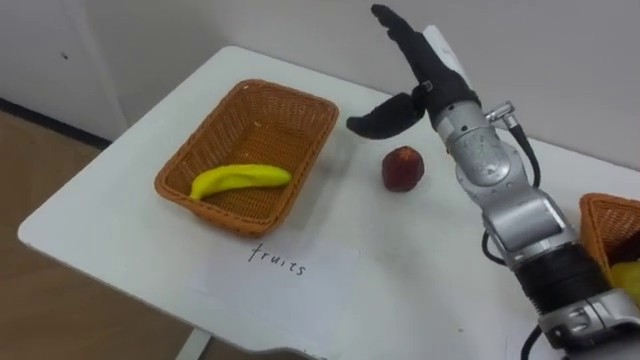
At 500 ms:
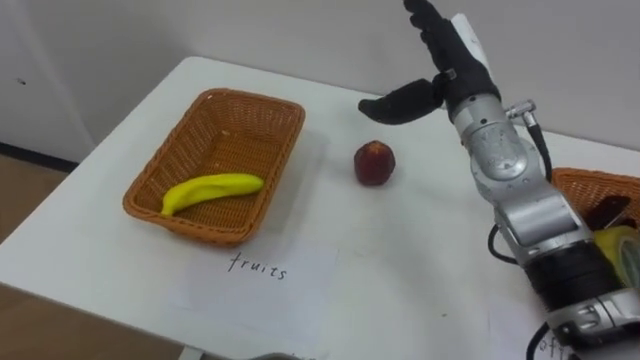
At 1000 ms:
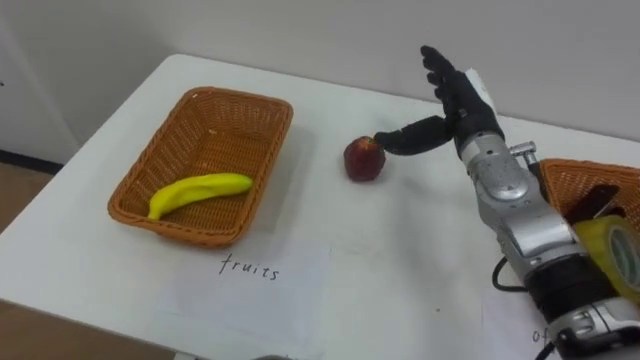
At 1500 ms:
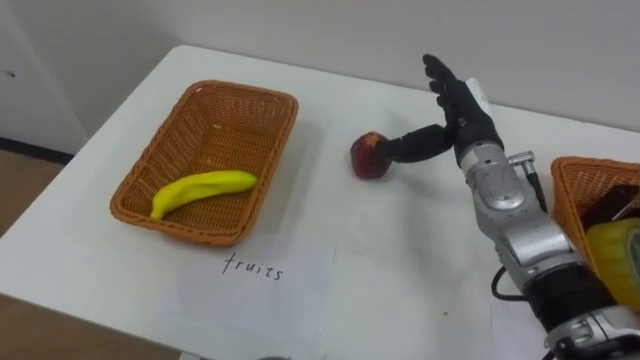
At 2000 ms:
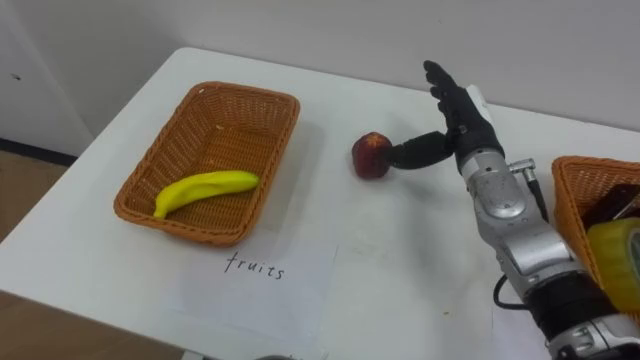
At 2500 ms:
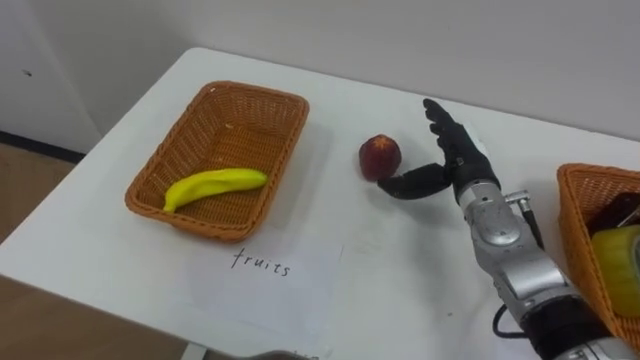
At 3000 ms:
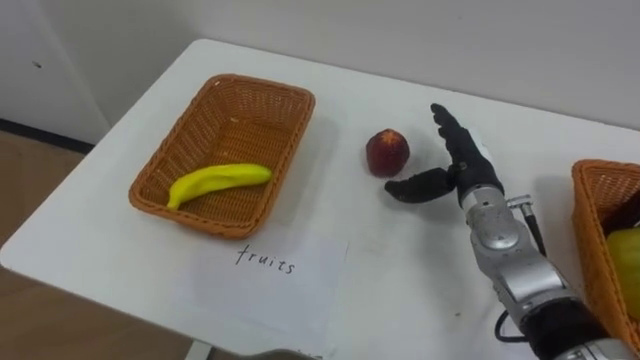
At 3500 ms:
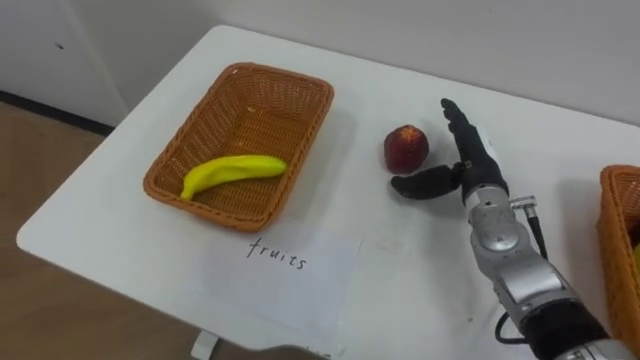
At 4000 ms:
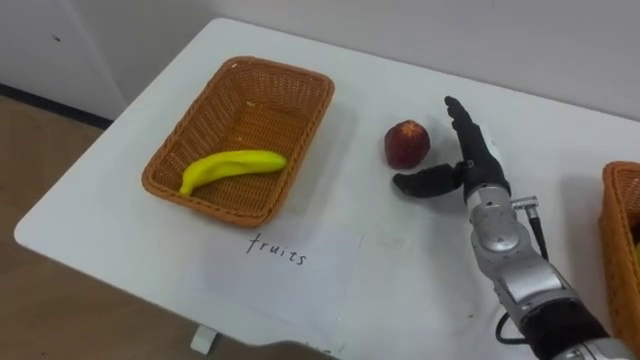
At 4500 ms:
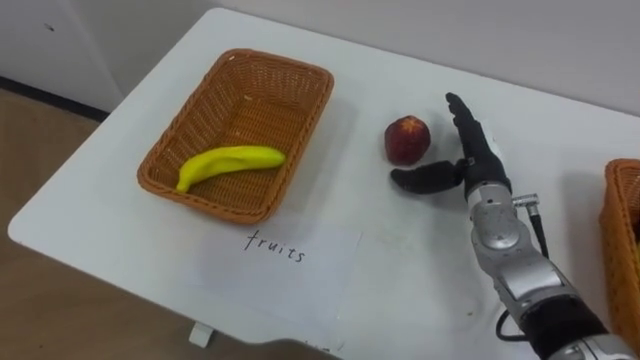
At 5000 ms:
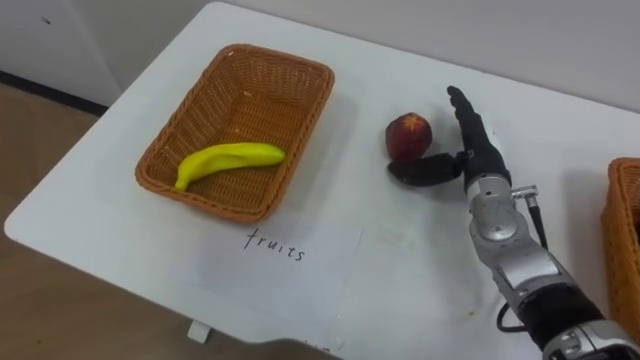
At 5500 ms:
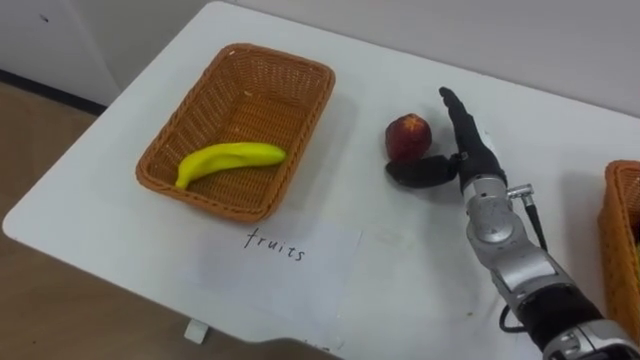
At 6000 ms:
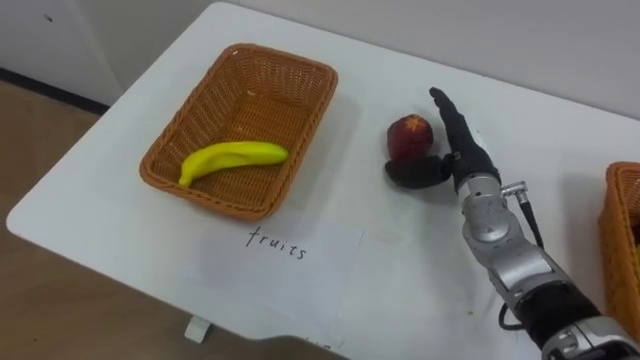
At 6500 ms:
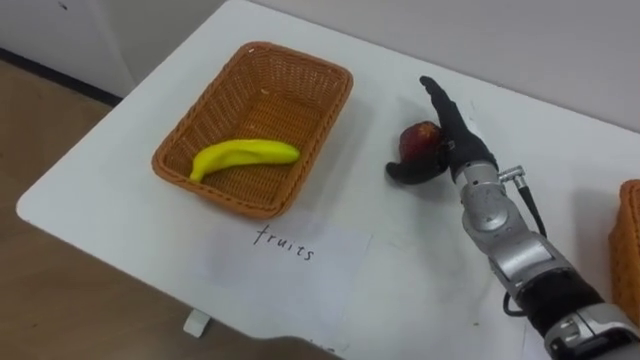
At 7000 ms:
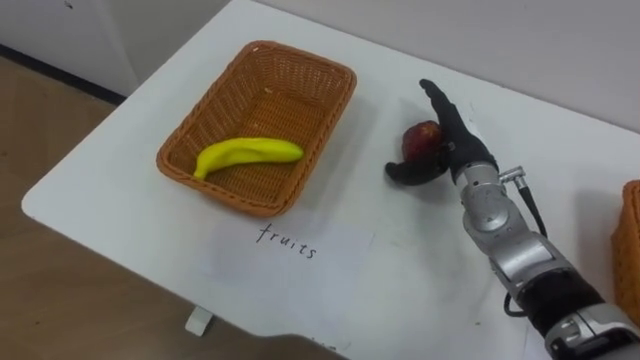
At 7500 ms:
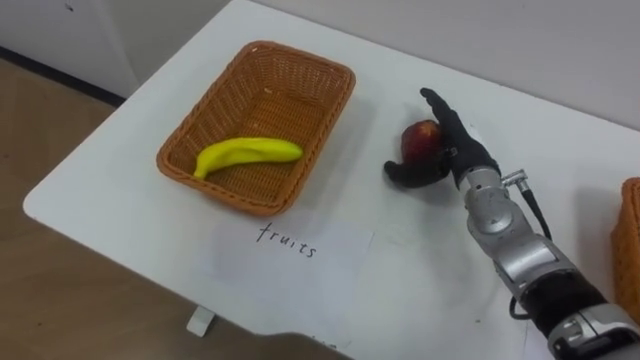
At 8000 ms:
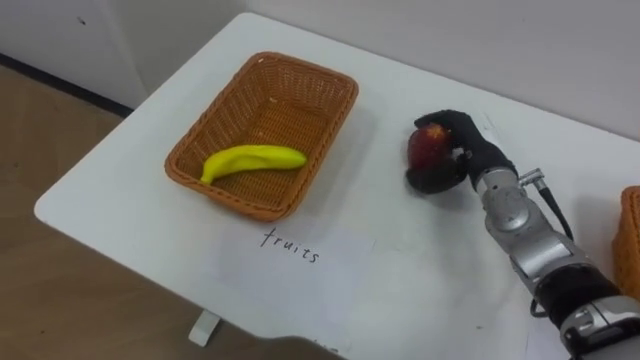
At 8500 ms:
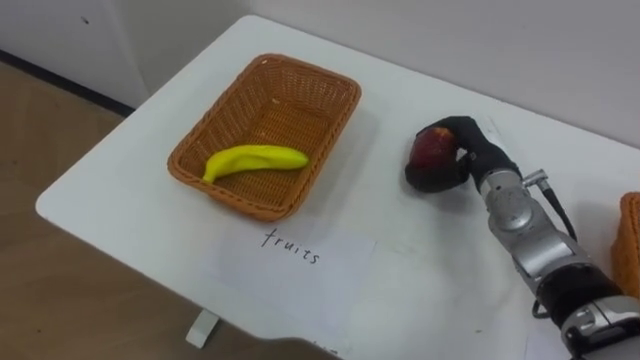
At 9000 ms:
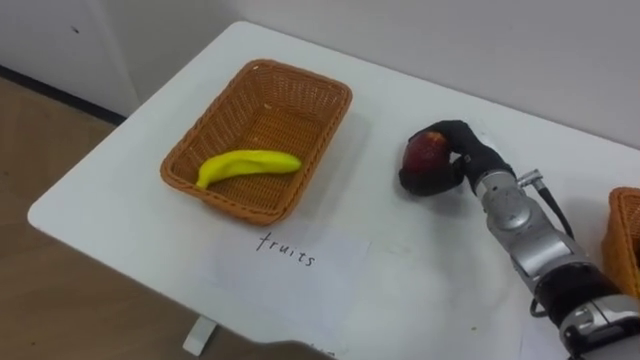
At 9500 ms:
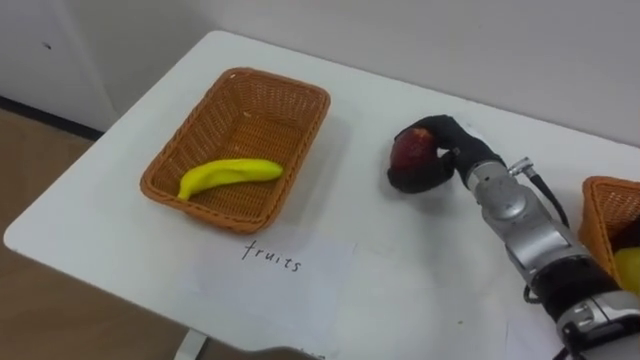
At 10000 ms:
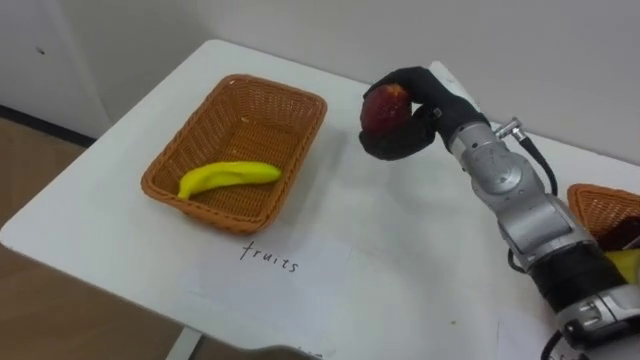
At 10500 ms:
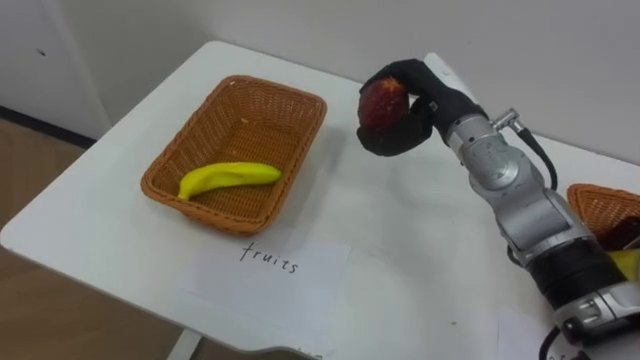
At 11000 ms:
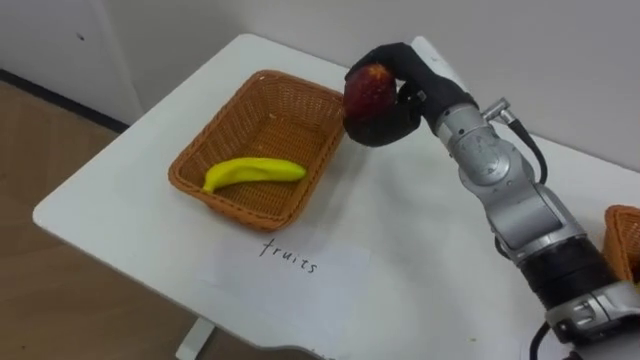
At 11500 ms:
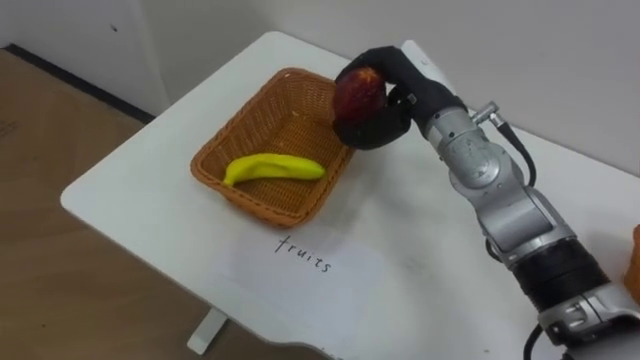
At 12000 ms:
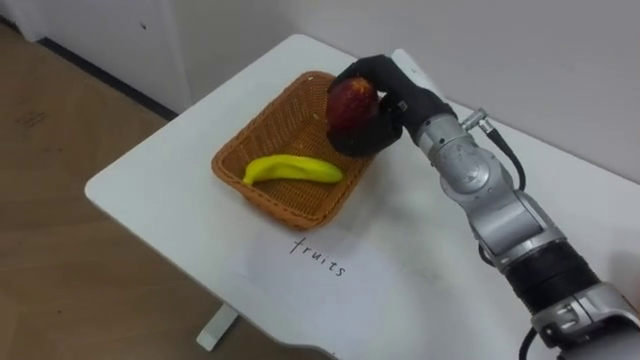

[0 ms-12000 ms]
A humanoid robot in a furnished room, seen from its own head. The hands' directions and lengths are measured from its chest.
Task of the whole recording: Separate the items on the table and place them into the two baskets.
0 ms to 2000 ms: The right hand shifts about 10 cm downward and to the right.
2000 ms to 4000 ms: The right hand shifts by roughly 5 cm.
8000 ms to 10000 ms: The right hand travels upward and to the left by about 10 cm.
10000 ms to 12000 ms: The right hand shifts by approximately 5 cm.

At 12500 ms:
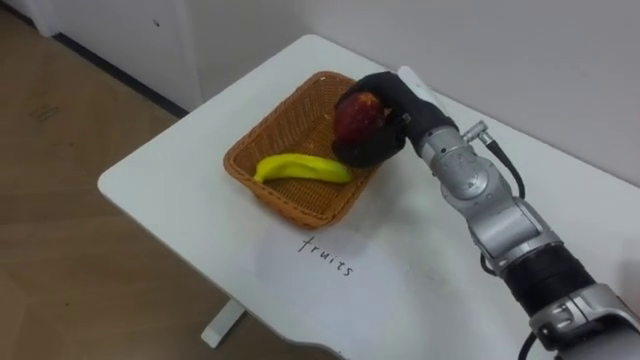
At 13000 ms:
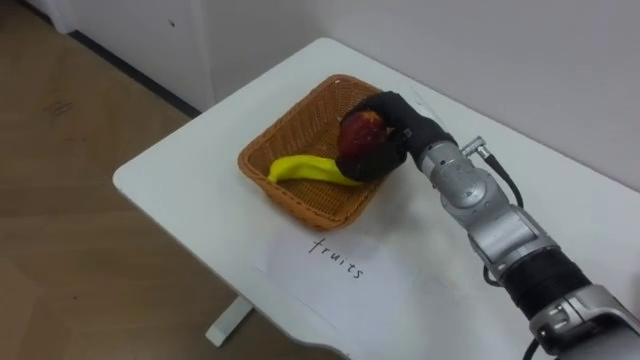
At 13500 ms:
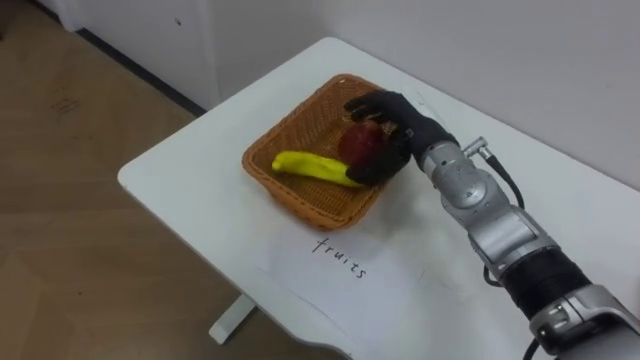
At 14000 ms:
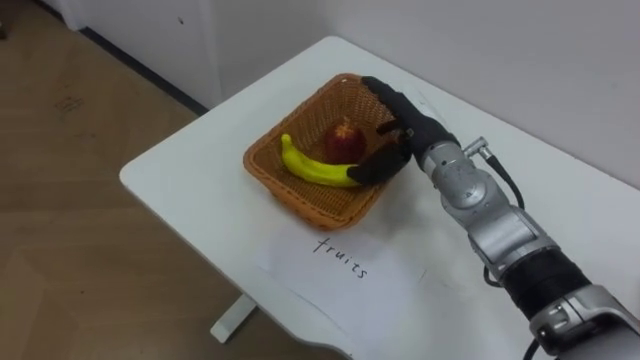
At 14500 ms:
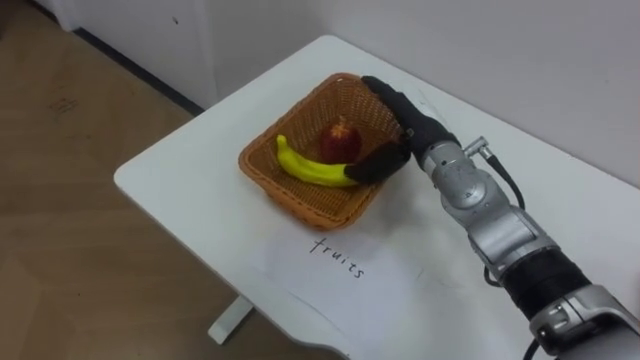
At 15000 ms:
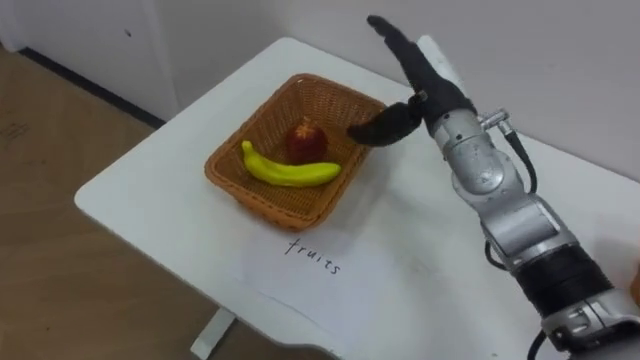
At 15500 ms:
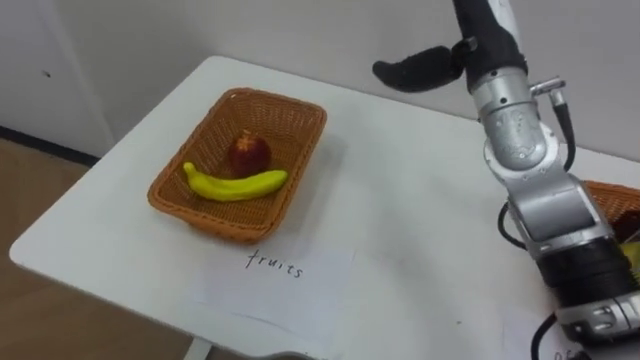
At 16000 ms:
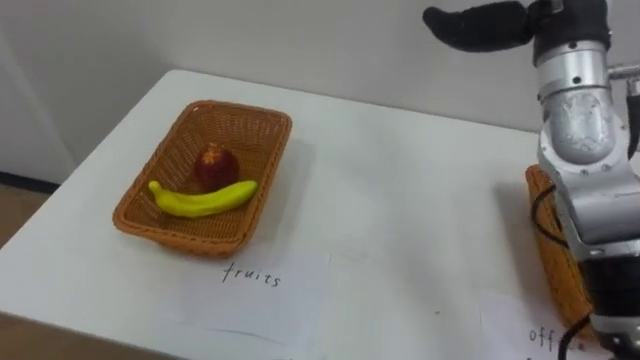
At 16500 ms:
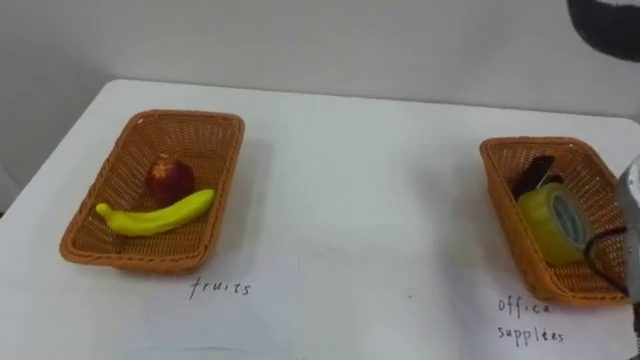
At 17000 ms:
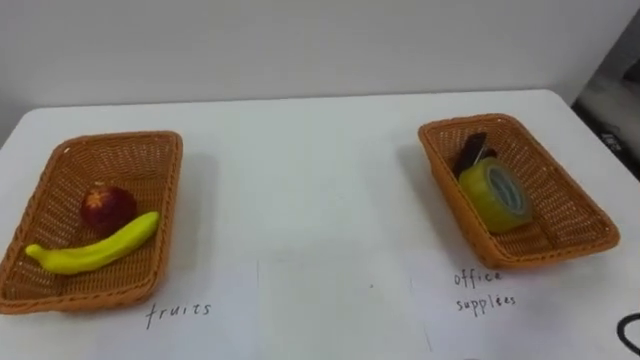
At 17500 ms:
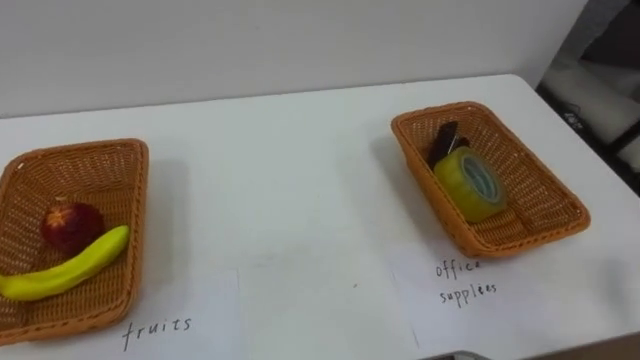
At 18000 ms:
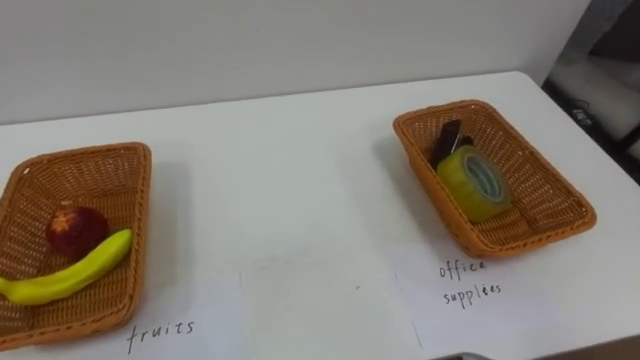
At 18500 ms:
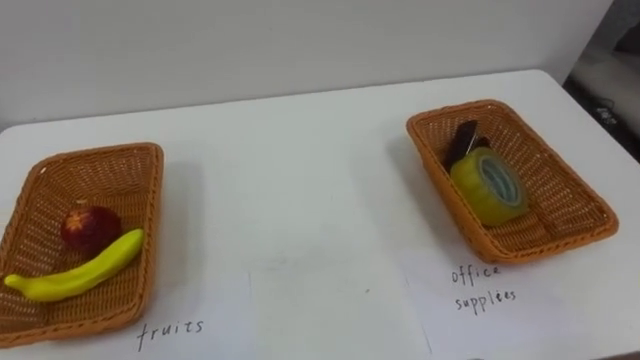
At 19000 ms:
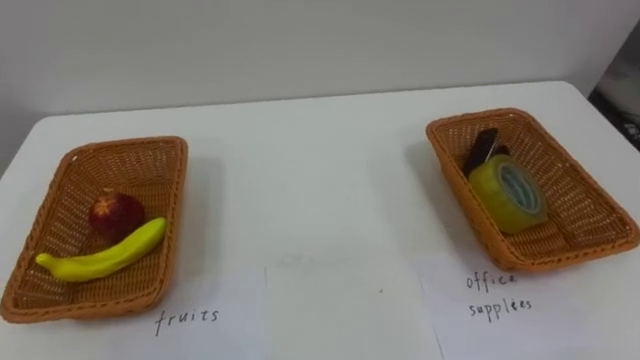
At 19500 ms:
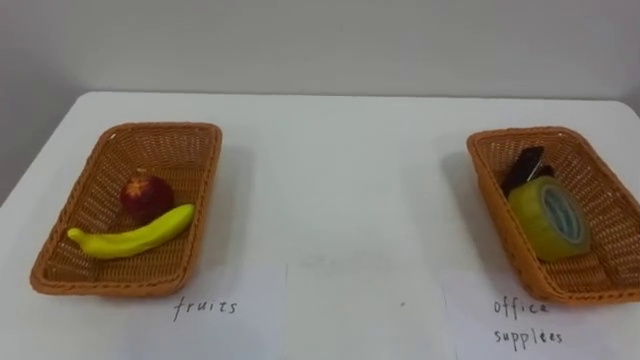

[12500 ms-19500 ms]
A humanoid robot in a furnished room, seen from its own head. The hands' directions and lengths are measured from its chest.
Task of the whole recording: Separate the items on the table and place them into the two baskets.
12500 ms to 14500 ms: The right hand opens up.

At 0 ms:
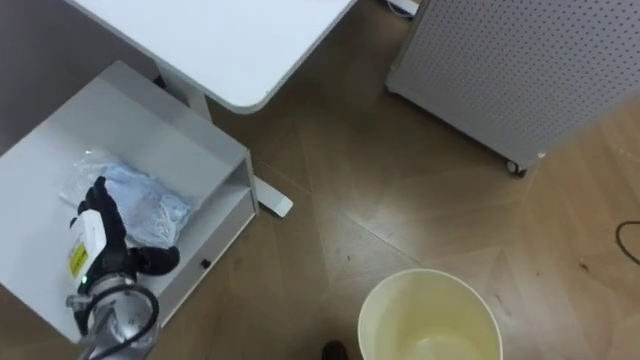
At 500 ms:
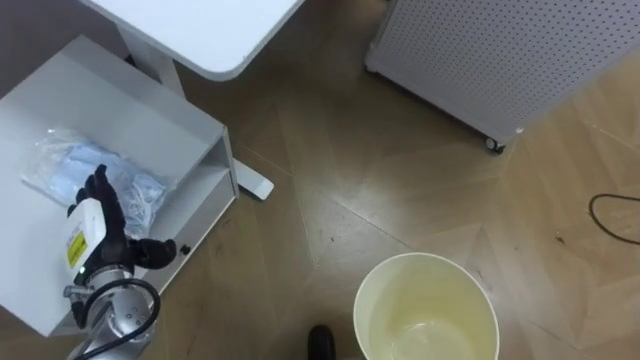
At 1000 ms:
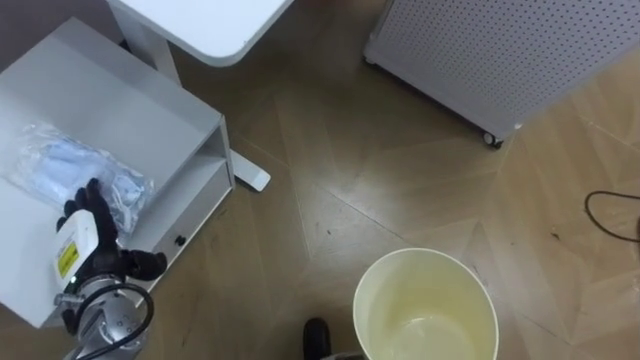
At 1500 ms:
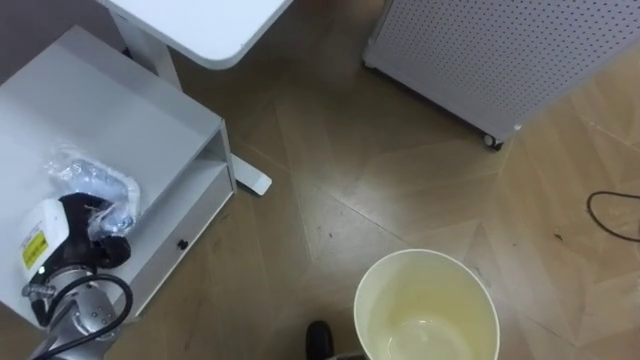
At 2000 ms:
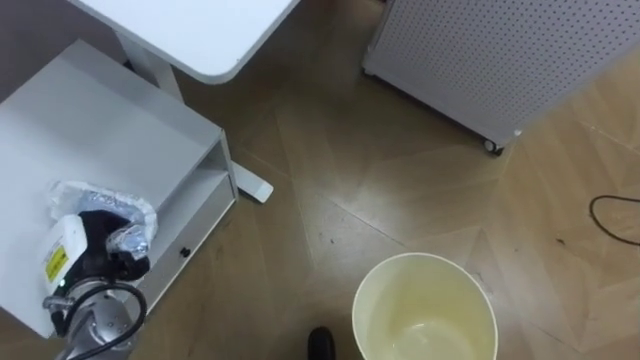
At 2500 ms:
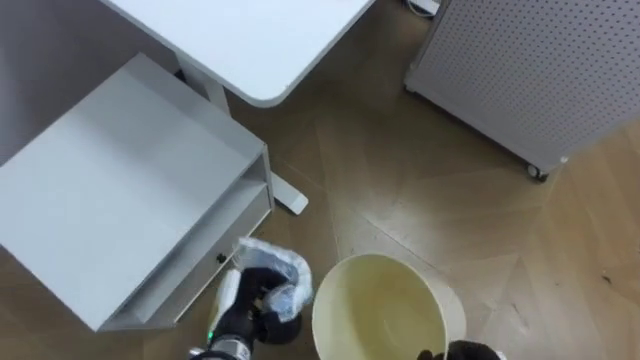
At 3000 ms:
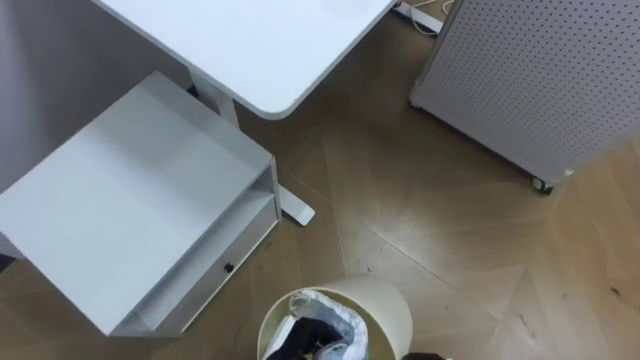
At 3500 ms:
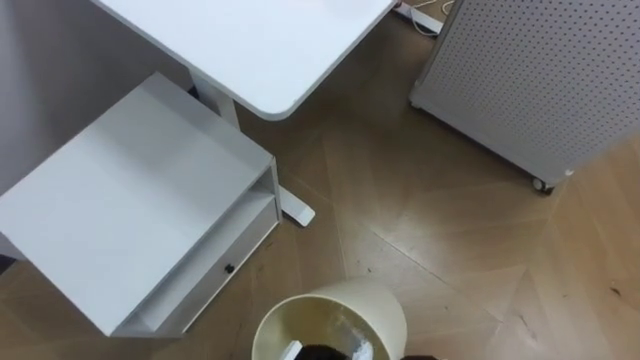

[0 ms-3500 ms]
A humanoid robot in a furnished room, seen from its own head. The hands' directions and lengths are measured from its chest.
Task of the whole recording: Pick up the light blue package, the candy box, and the dark blue package separately, and put them into the trash can held in your right hand.
0 ms to 2000 ms: The left hand closes its fingers.
